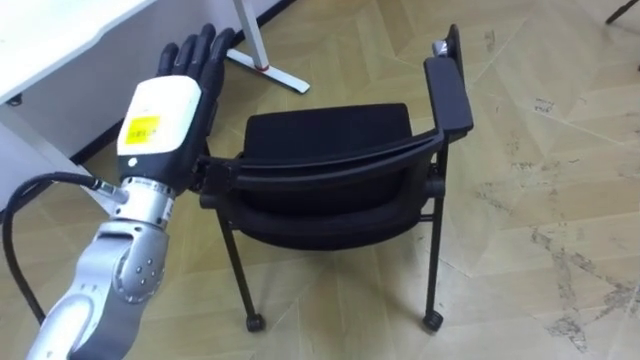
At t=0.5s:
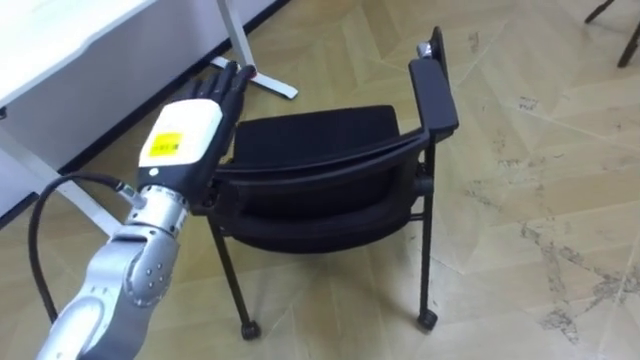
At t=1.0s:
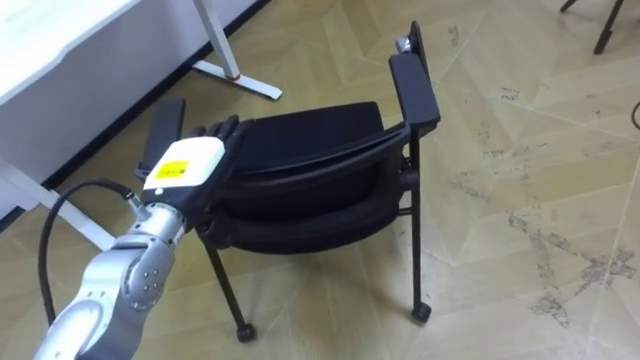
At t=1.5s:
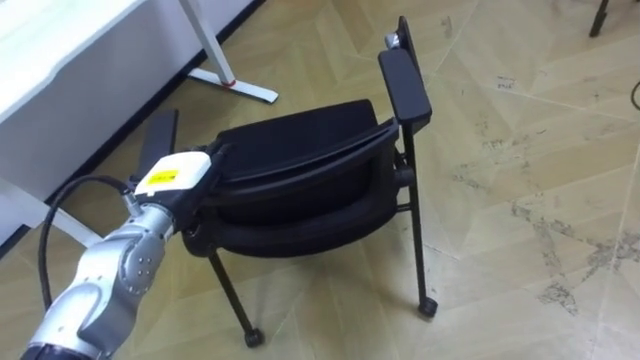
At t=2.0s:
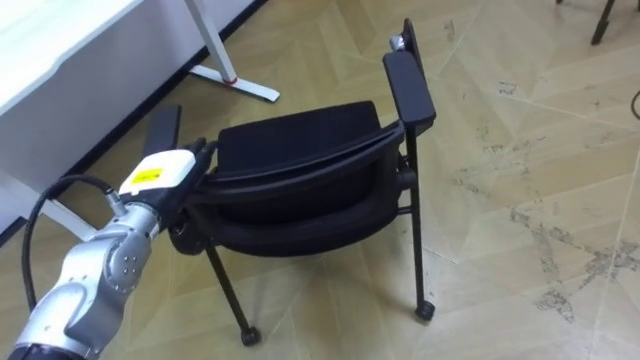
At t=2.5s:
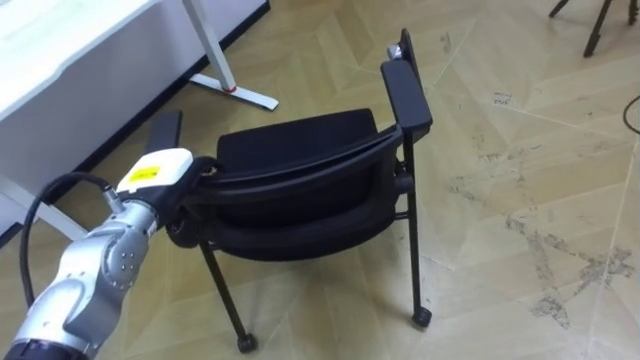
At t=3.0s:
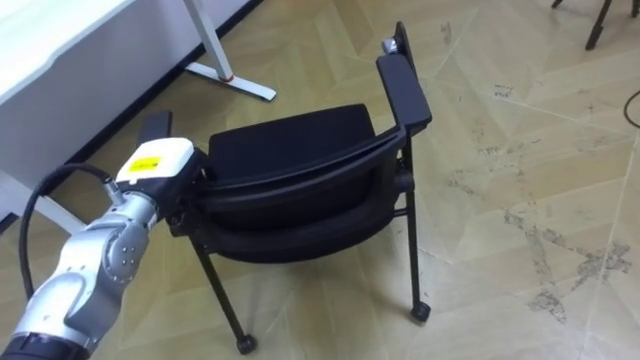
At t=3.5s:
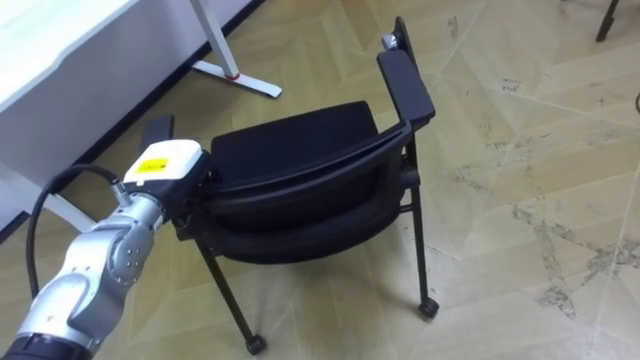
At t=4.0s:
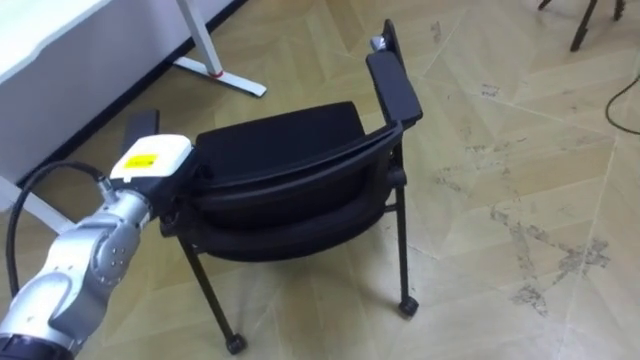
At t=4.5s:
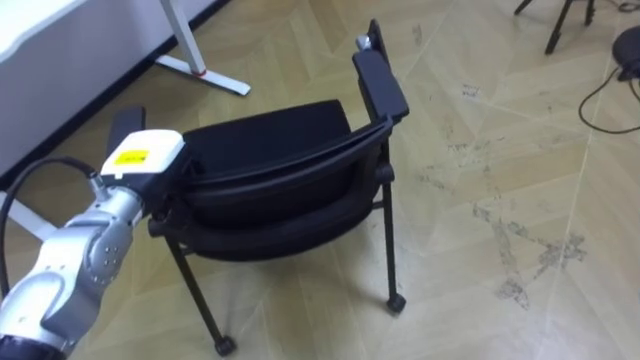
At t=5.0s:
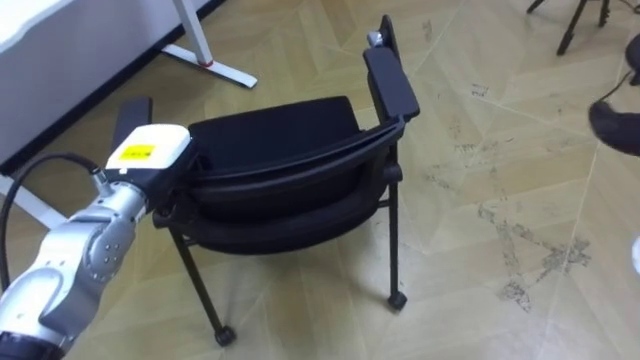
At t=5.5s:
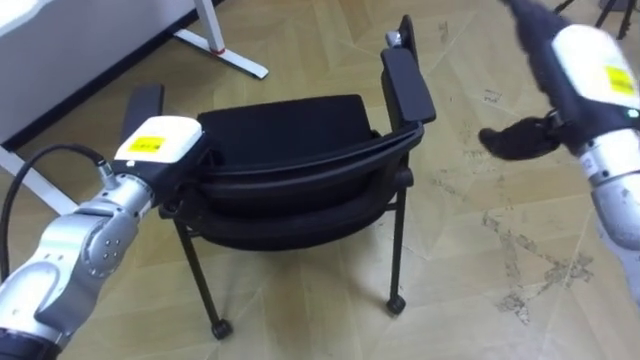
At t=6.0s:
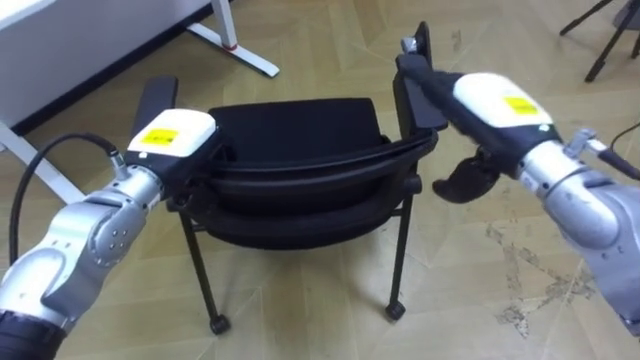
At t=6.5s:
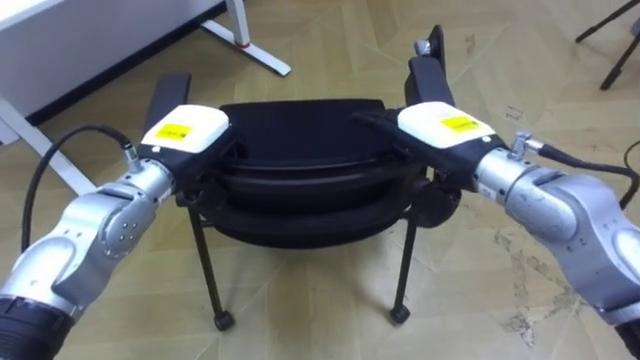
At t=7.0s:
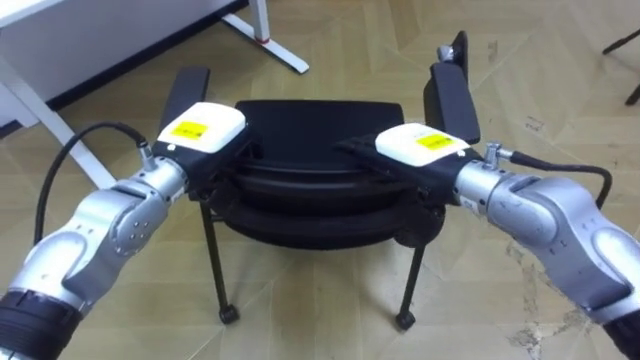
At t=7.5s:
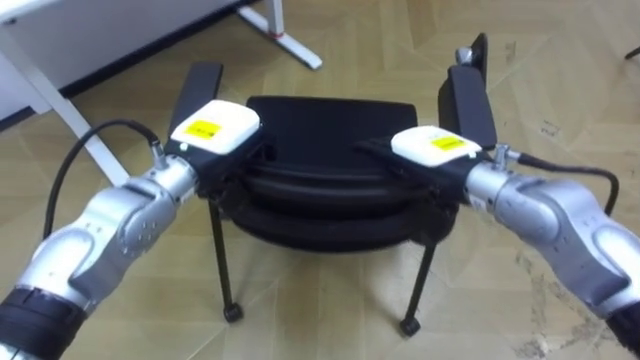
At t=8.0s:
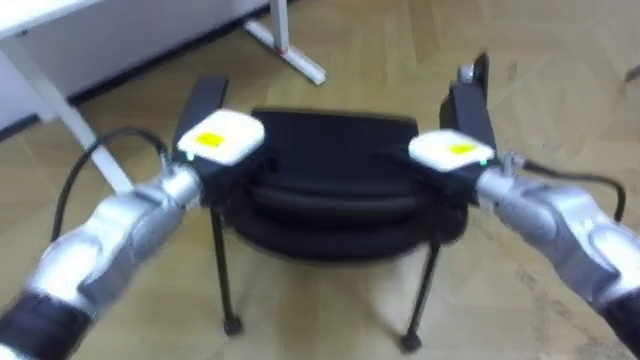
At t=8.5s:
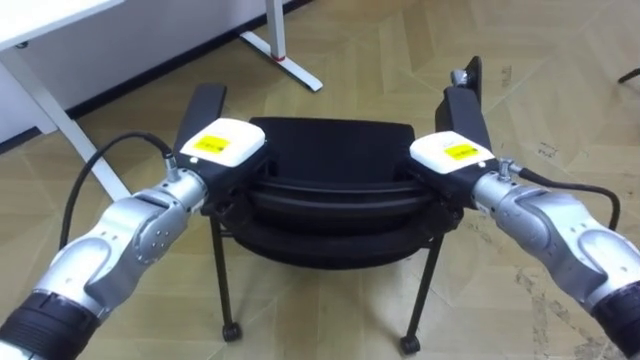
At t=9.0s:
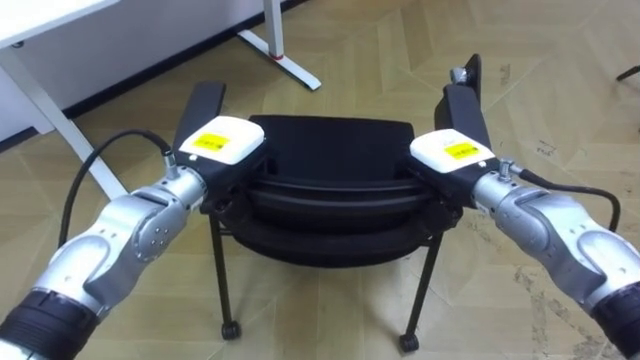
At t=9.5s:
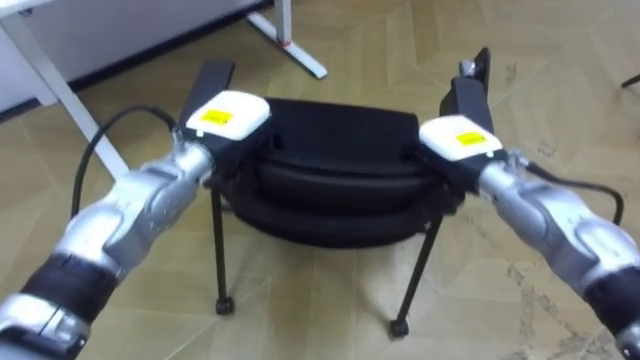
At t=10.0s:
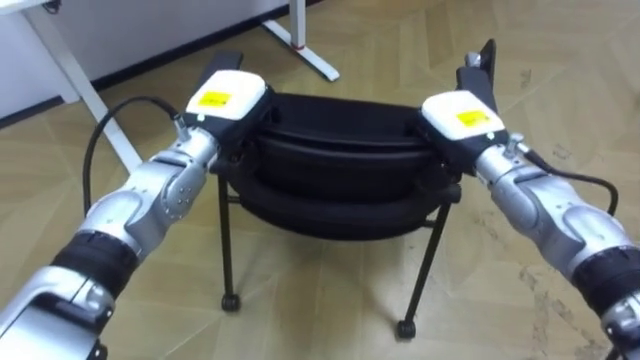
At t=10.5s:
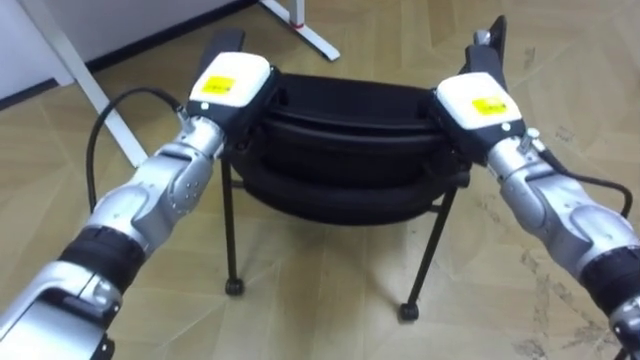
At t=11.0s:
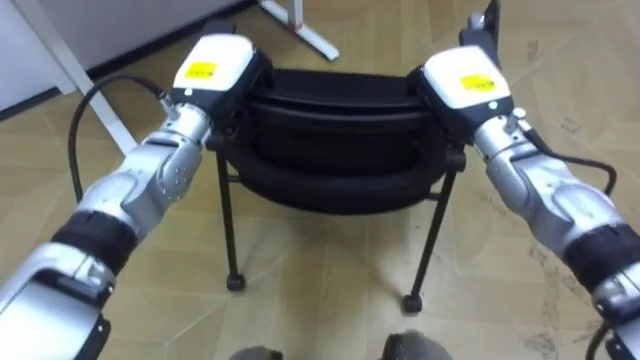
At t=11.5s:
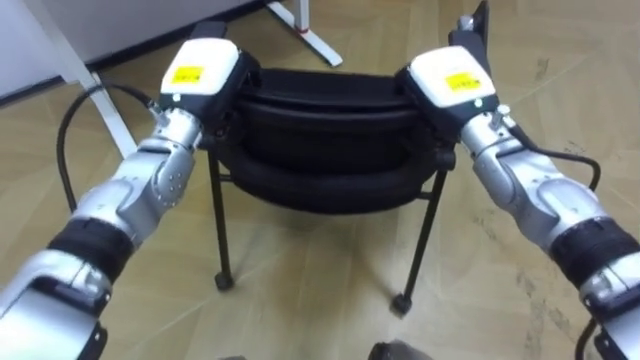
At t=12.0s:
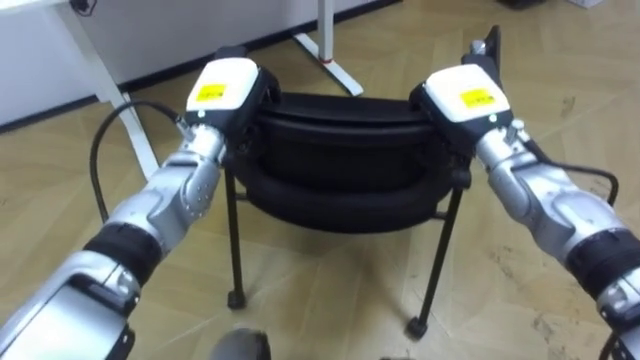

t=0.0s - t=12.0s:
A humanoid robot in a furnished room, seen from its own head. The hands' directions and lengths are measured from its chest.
Task of the whole recording: Push the chair under the table.
t=0.0s - t=2.0s: The left hand is displaced downward by about 10 cm.
t=2.0s - t=4.0s: The left hand closes up.
t=6.0s - t=8.0s: The right hand goes approximately 10 cm downward. The left hand goes some 5 cm to the right.
t=8.0s - t=10.0s: The right hand closes, while the left hand shifts some 5 cm forward.

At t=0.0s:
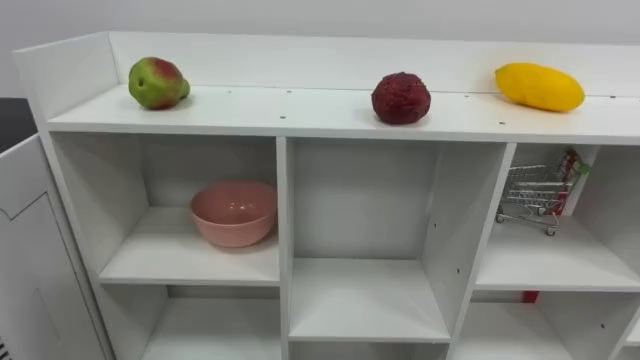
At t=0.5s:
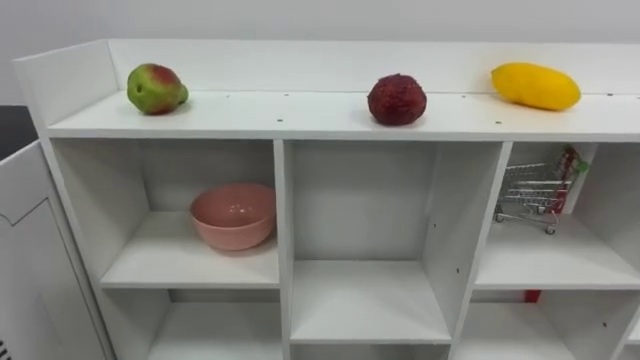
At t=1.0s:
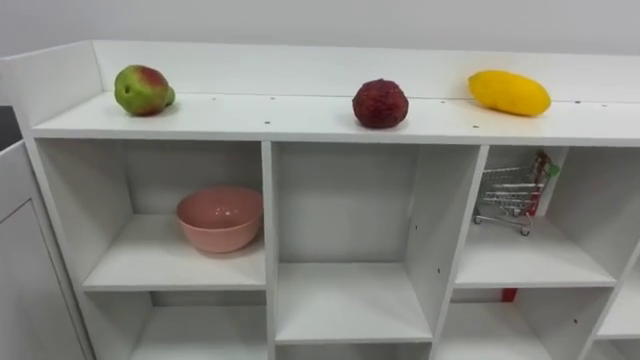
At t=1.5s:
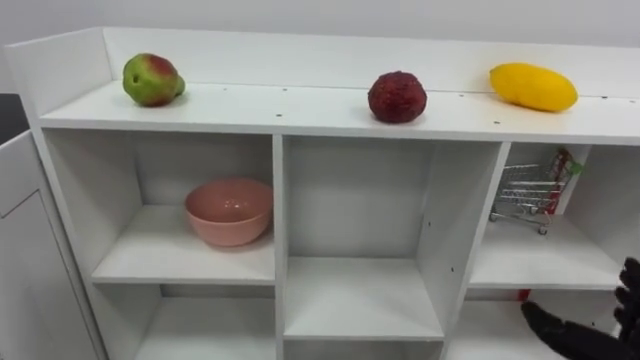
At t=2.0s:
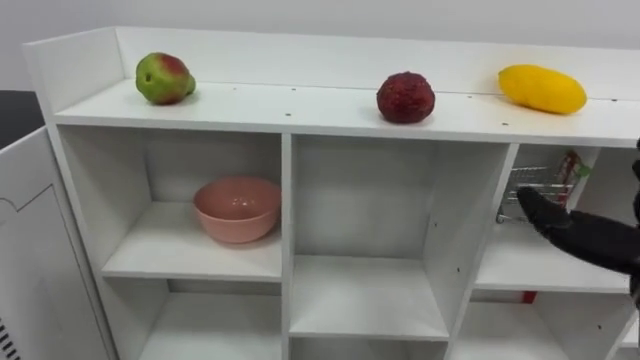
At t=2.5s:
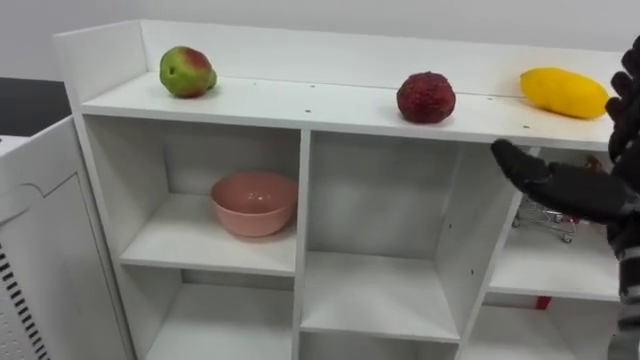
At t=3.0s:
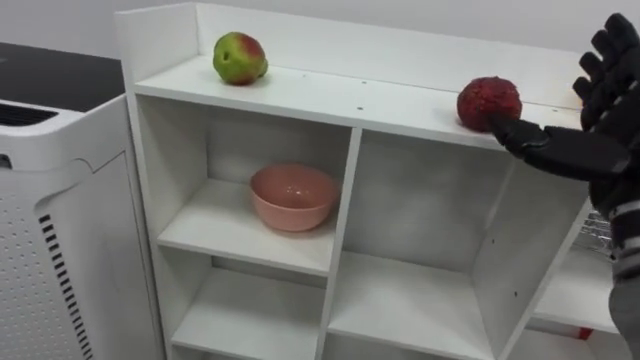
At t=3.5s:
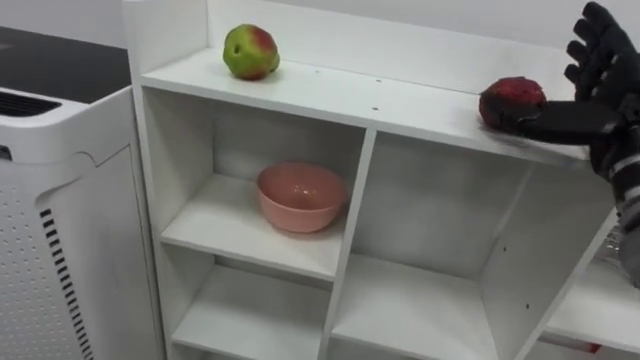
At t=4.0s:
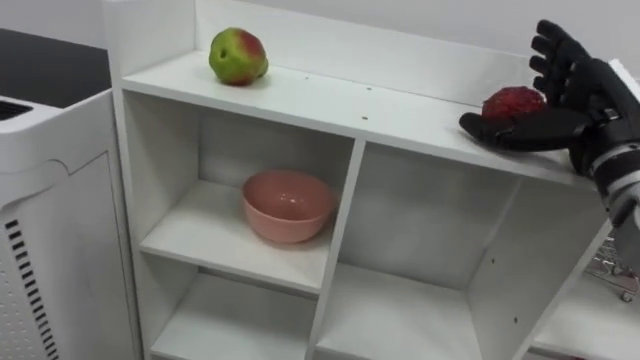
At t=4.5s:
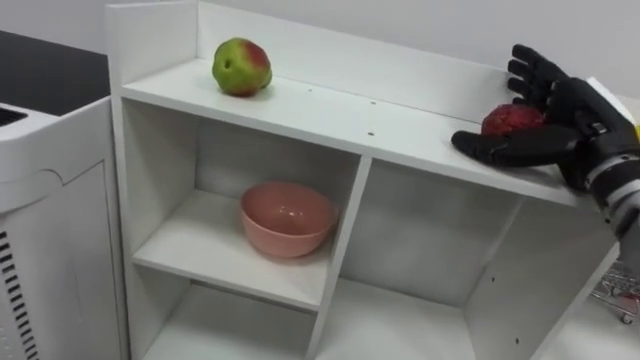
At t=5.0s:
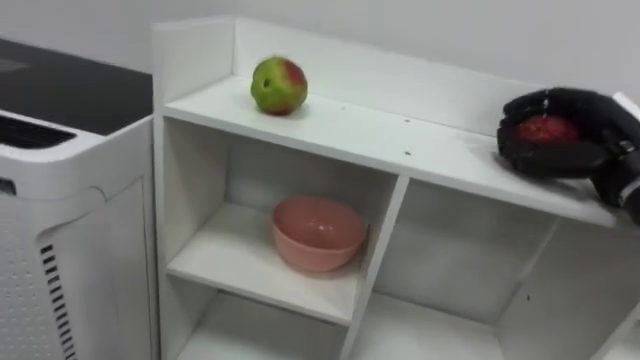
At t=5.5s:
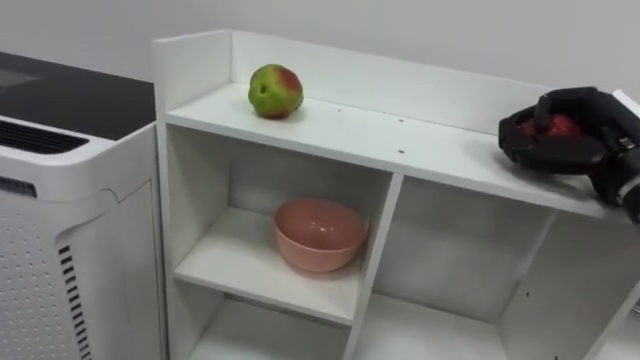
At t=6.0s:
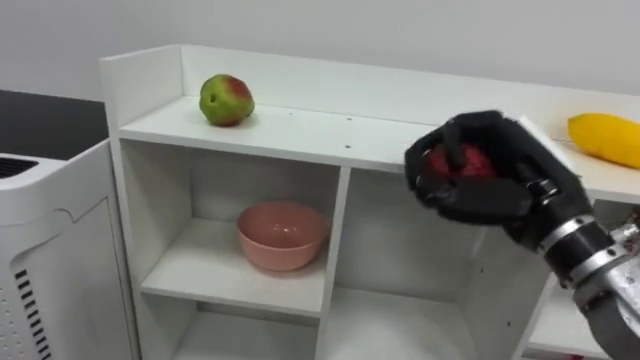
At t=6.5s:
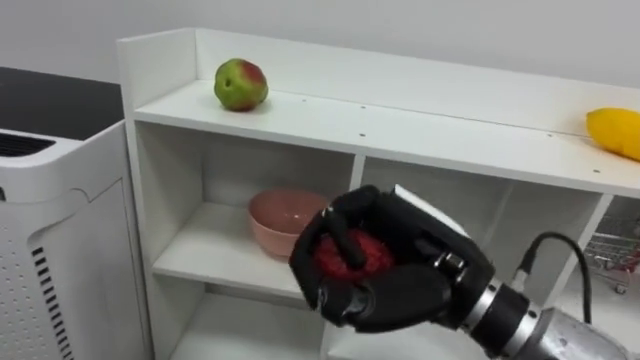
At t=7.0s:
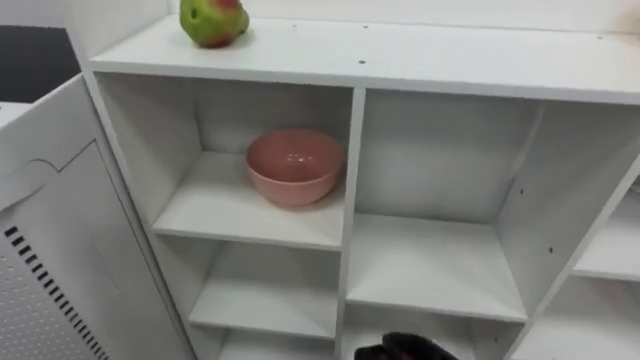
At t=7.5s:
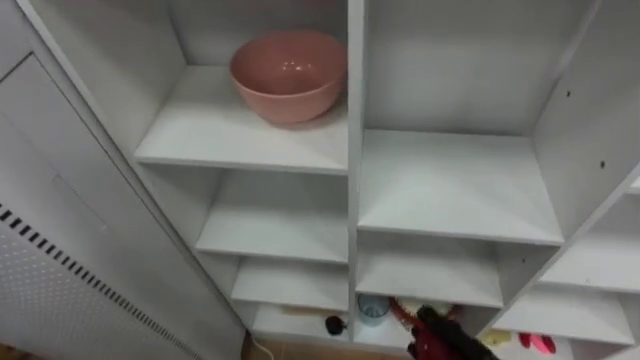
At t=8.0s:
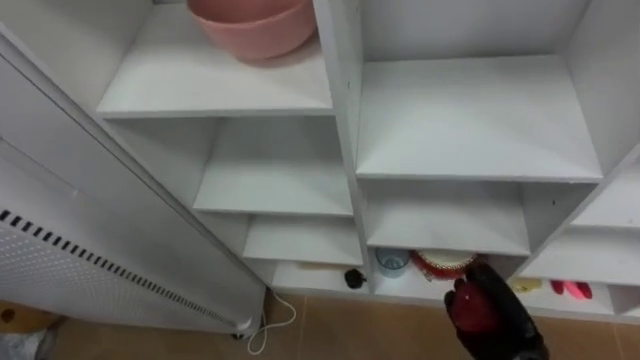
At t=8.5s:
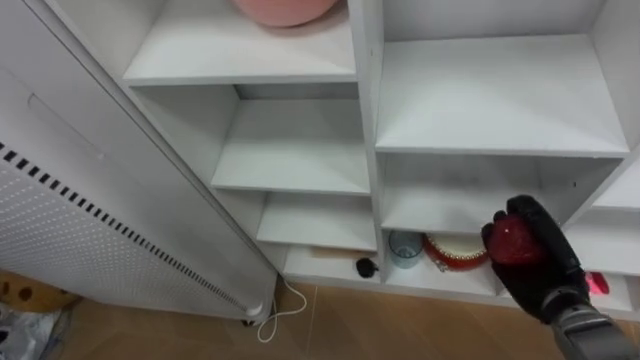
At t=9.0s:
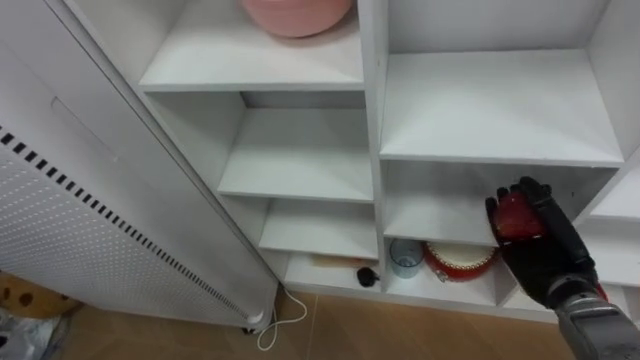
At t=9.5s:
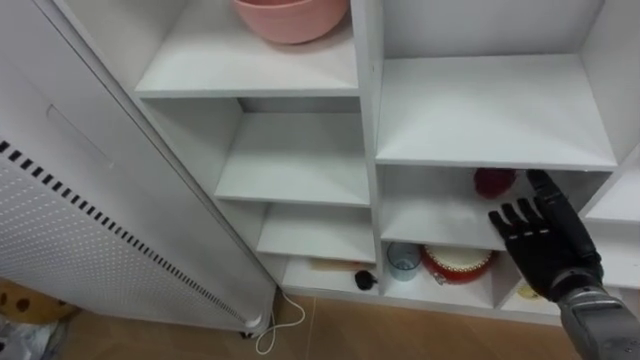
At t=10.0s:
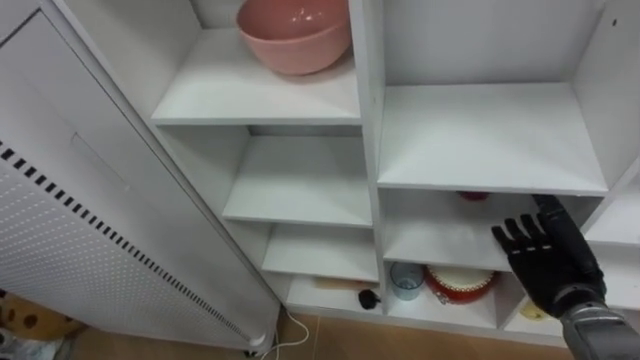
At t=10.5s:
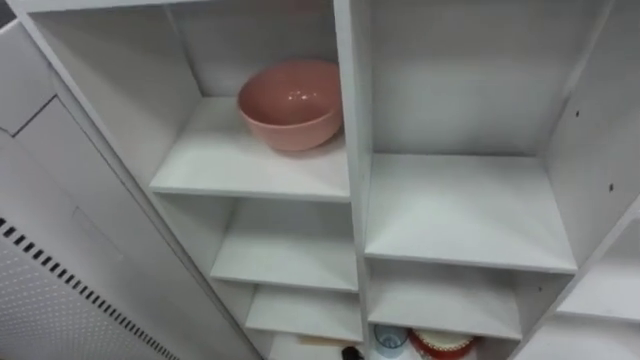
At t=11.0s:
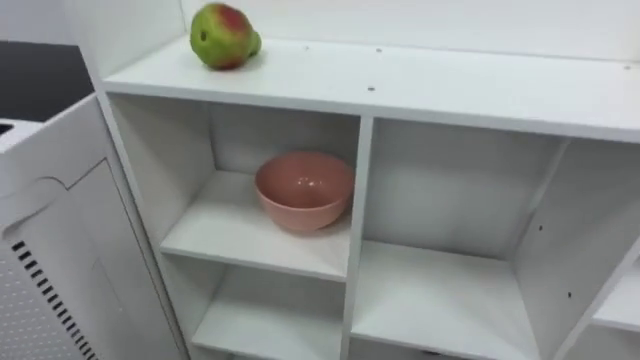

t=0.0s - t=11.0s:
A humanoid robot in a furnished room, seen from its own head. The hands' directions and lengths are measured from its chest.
Task of the whole recording: Put the apple in the cell in the second column from the left and the second row from the top.
t=3.5s - t=5.5s: The right hand closes.
